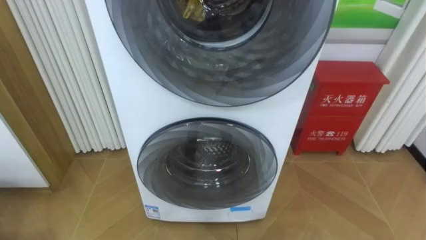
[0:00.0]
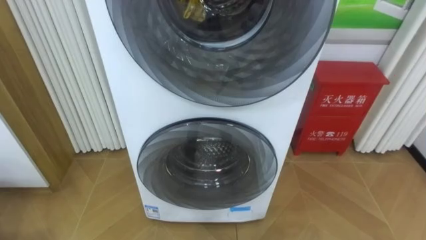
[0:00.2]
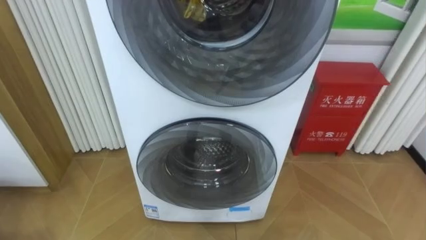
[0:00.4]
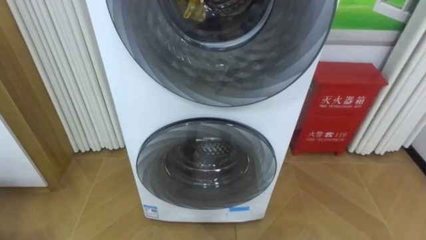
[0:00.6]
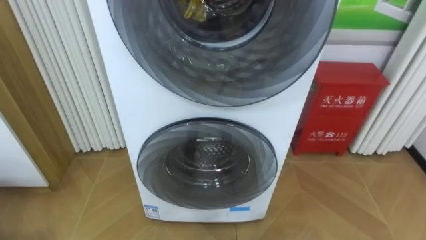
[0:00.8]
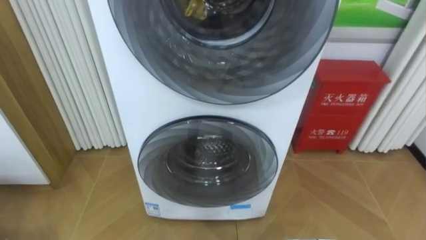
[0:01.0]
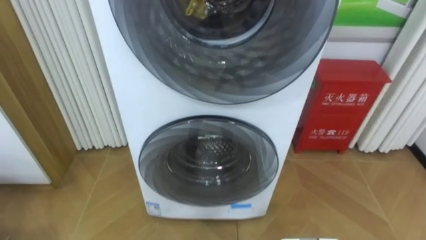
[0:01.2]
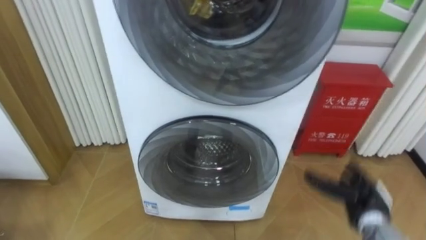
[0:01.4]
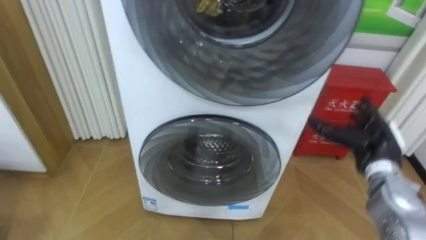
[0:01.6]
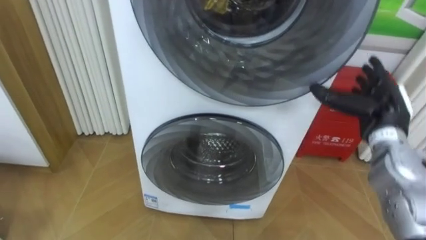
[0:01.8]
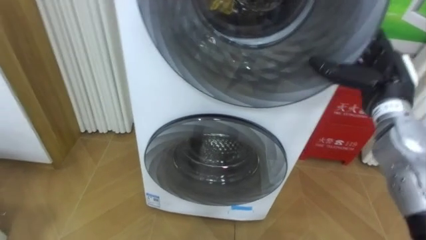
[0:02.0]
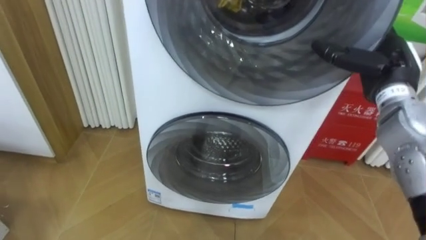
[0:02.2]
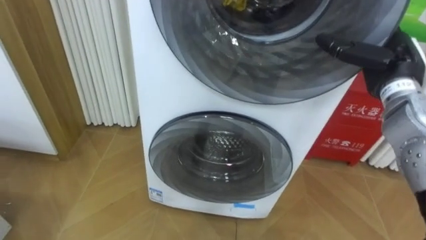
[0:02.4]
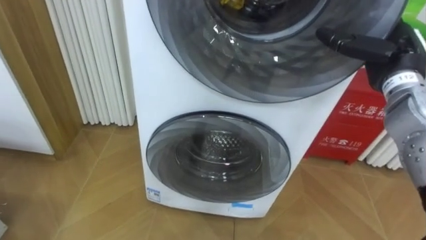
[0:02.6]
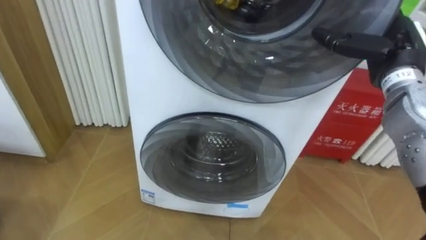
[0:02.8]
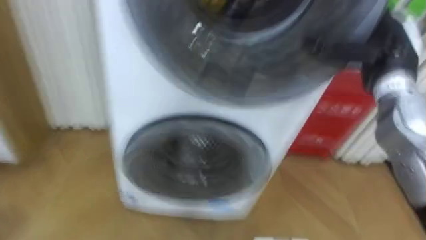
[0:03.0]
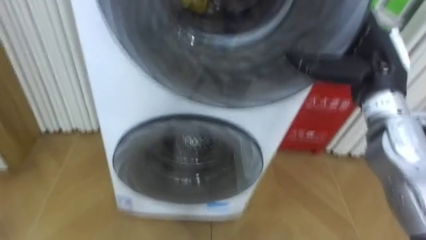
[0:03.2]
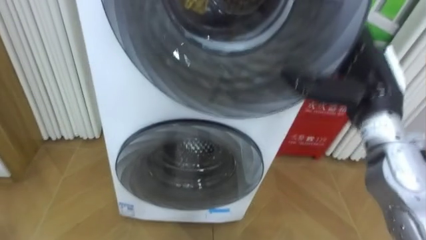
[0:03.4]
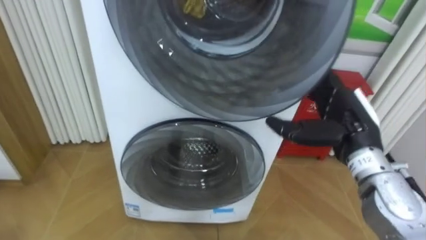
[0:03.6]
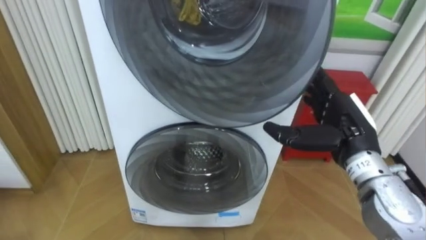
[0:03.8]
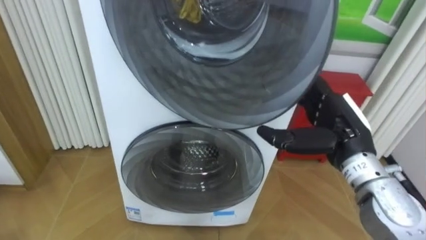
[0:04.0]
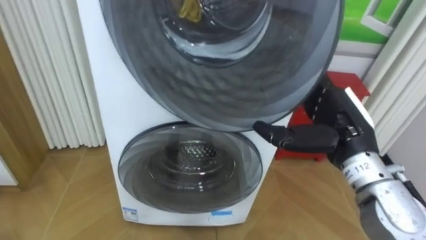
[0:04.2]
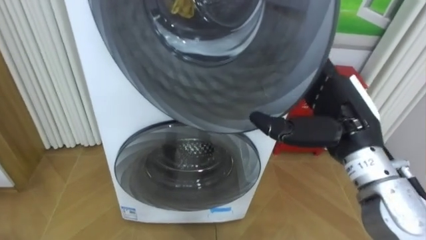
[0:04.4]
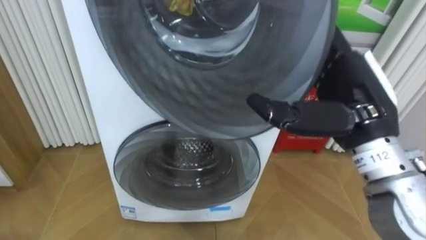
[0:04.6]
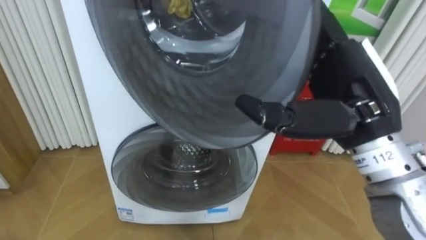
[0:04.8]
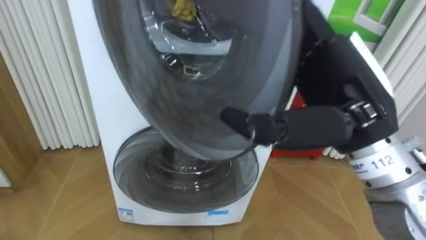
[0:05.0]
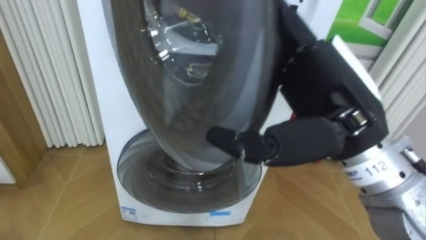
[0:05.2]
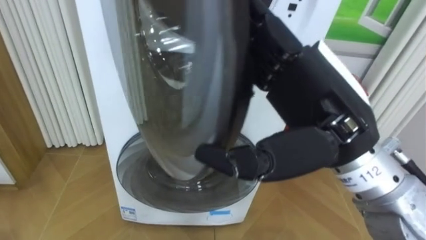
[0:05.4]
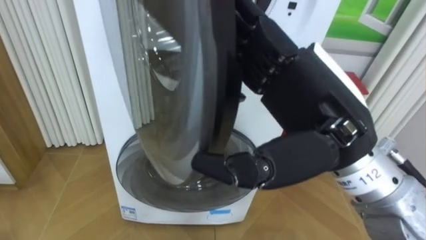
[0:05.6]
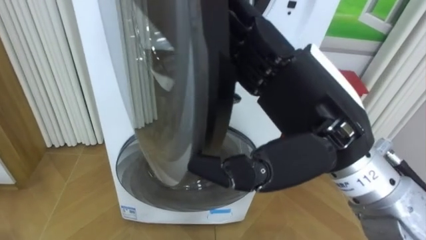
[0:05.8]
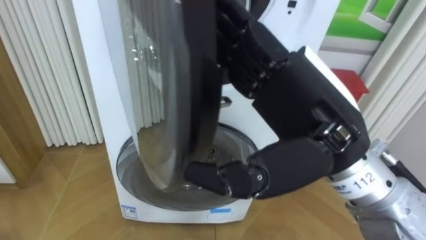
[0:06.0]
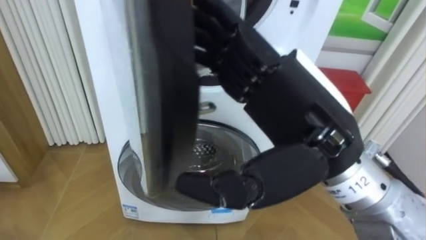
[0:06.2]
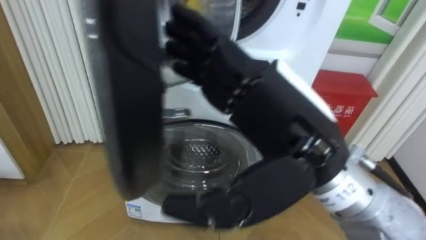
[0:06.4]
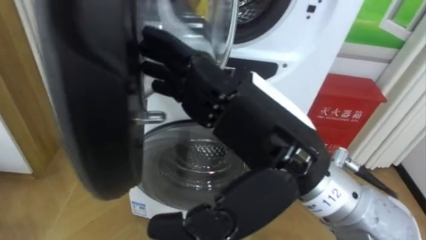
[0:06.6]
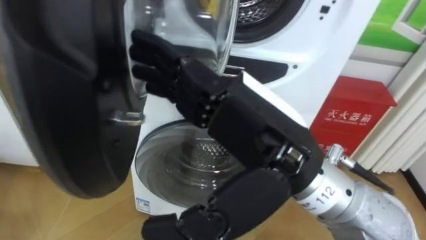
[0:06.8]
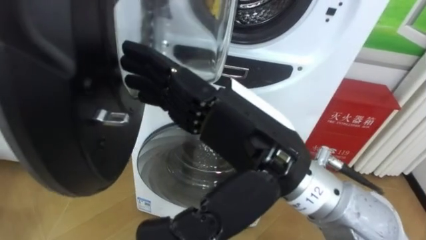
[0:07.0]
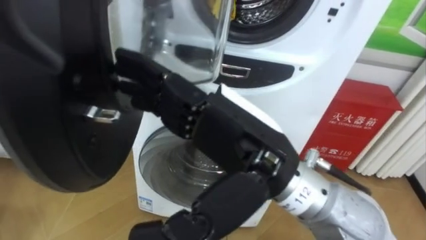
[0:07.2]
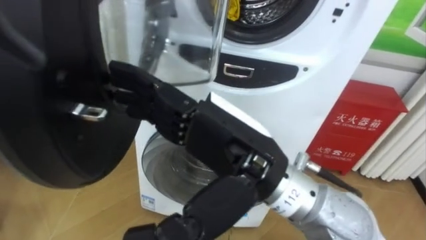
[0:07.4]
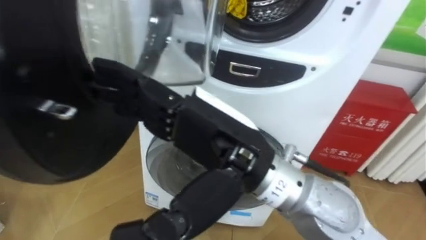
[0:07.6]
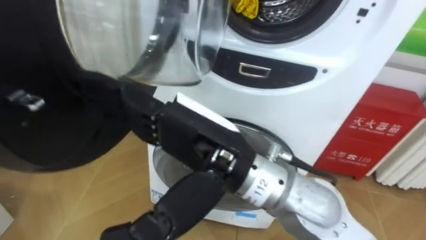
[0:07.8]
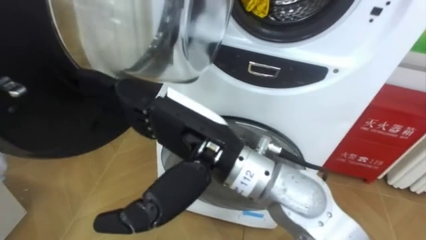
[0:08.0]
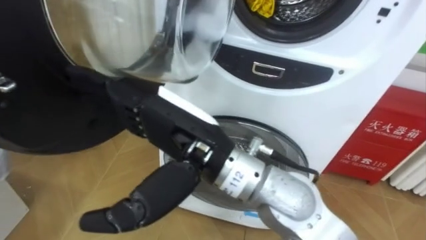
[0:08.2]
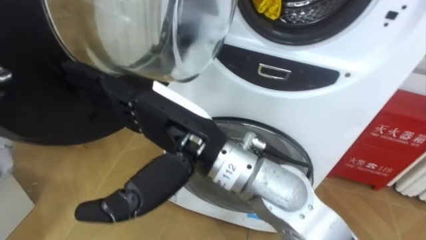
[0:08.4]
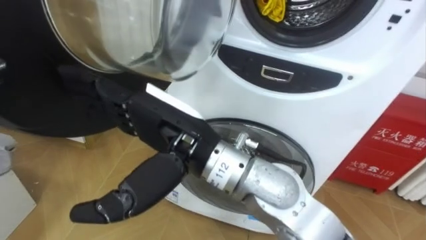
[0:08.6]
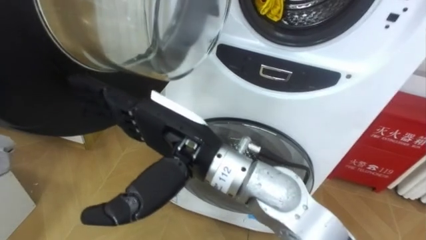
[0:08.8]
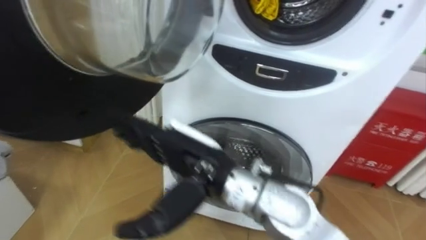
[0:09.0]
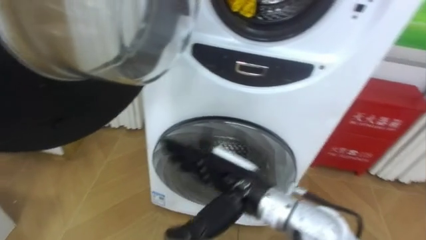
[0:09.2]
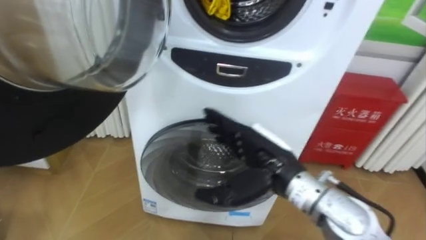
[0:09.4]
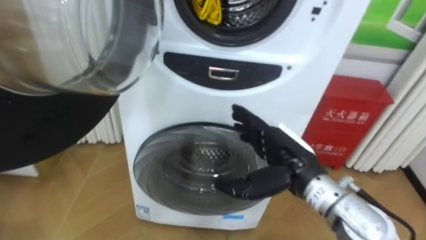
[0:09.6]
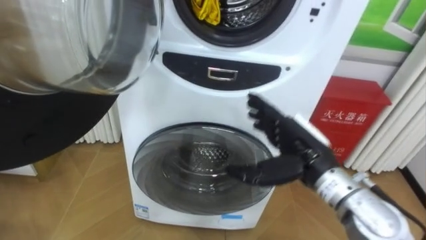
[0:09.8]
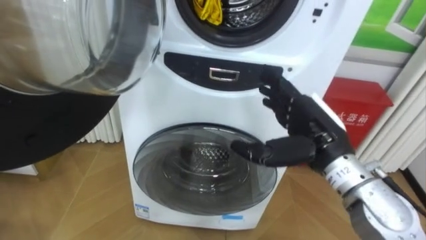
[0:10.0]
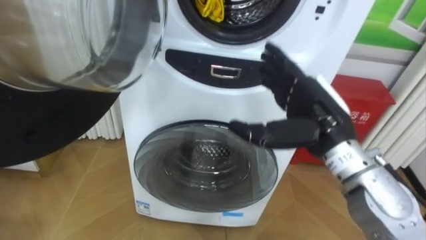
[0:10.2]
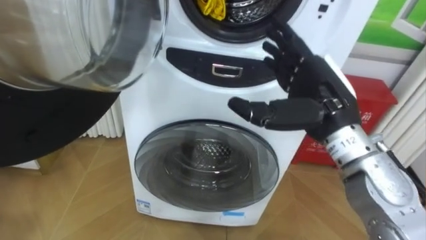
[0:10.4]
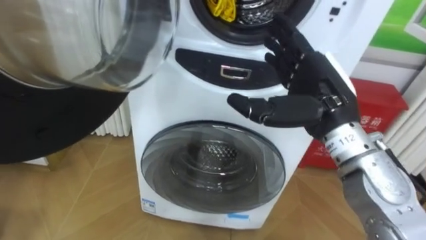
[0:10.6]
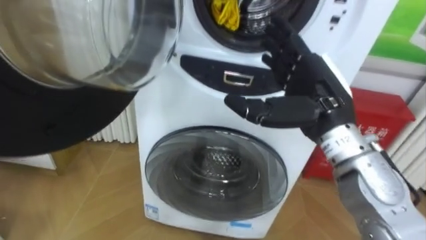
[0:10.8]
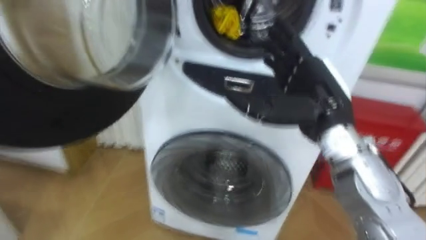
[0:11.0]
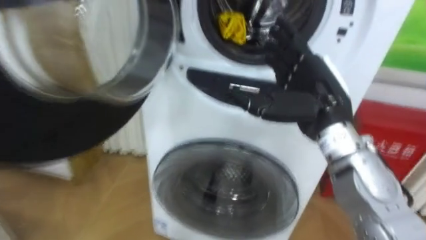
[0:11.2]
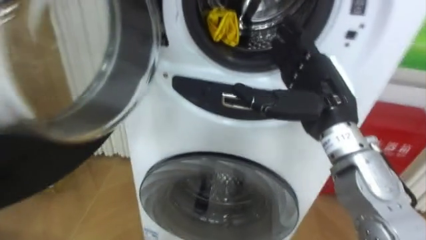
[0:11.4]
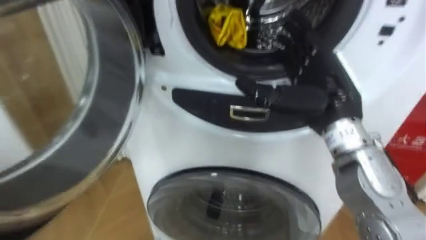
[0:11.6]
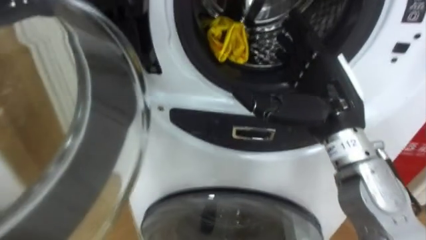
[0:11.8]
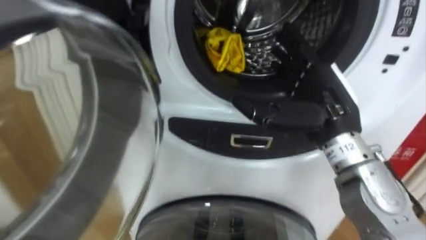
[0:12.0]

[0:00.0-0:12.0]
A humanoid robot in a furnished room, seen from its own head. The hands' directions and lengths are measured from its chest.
Task of the whole recording: Open the washing machine door, take out the yellow clothes, place them in the box on the right, and close the washing machine door.
0:01.6 to 0:03.0: The right hand moves upward, approximately 15 cm.
0:03.0 to 0:04.4: The right hand is displaced backward and to the left by some 10 cm.
0:04.4 to 0:06.0: The right hand goes about 15 cm to the left, upward and backward.
0:06.0 to 0:07.6: The right hand shifts about 10 cm to the left.
0:07.6 to 0:09.0: The right hand heads downward, covering about 5 cm.
0:09.0 to 0:10.4: The right hand moves to the right, roughly 20 cm.

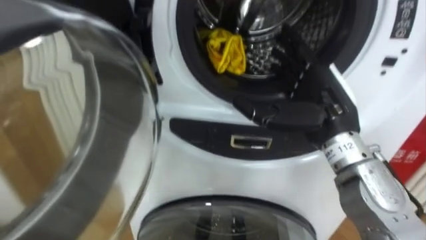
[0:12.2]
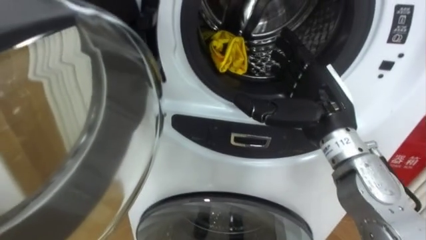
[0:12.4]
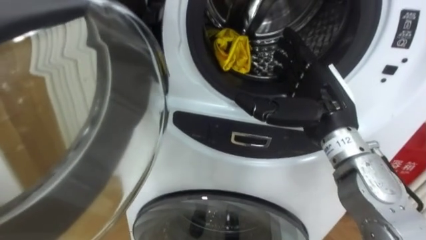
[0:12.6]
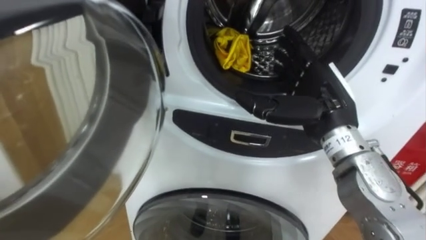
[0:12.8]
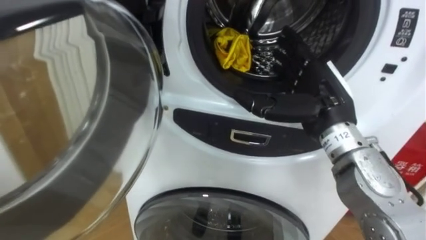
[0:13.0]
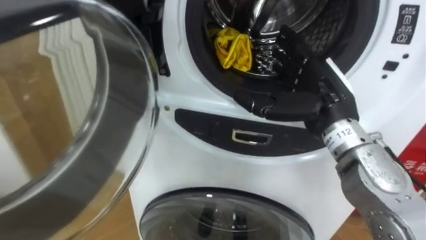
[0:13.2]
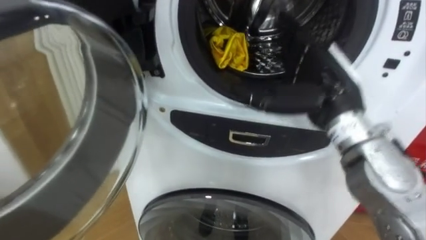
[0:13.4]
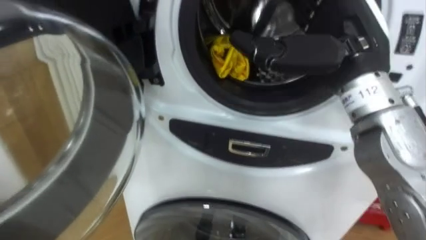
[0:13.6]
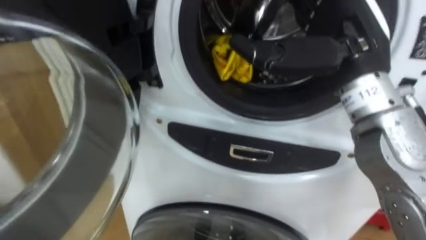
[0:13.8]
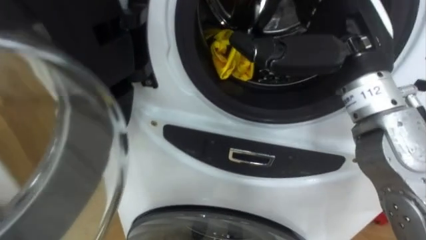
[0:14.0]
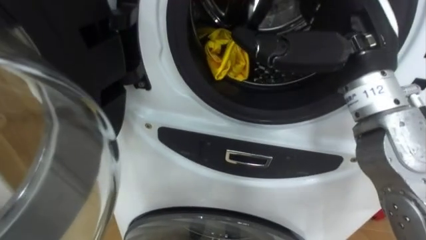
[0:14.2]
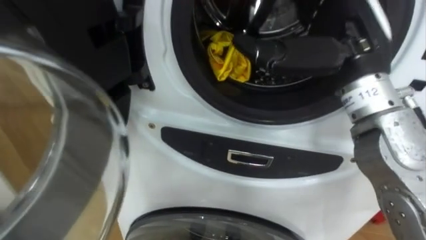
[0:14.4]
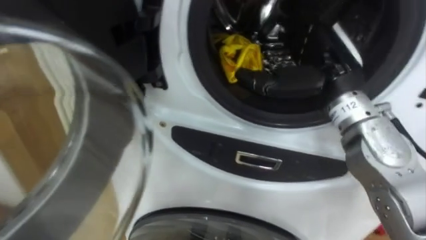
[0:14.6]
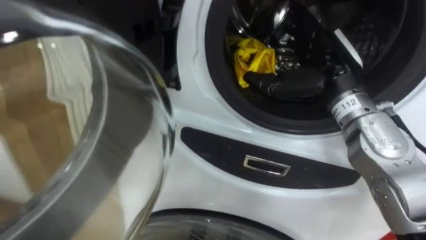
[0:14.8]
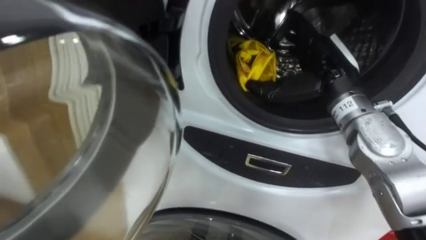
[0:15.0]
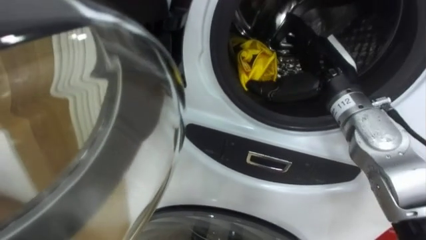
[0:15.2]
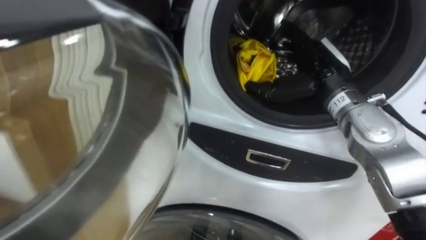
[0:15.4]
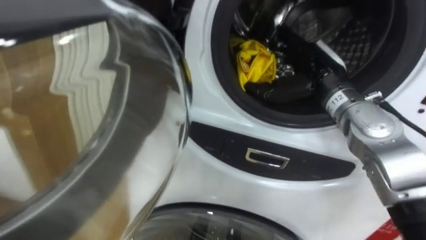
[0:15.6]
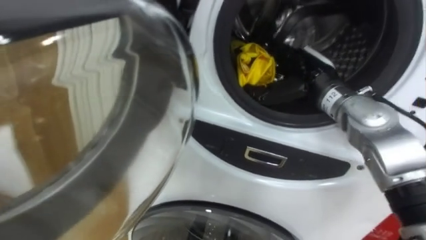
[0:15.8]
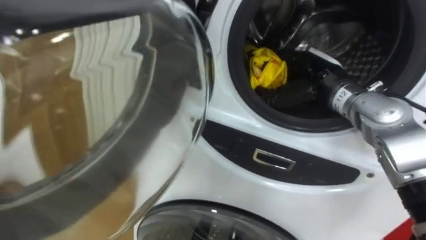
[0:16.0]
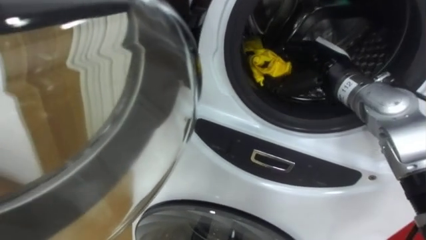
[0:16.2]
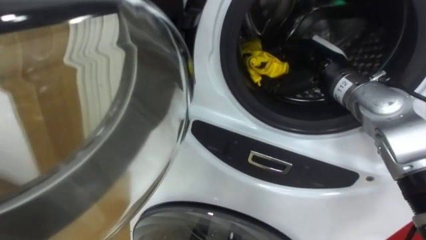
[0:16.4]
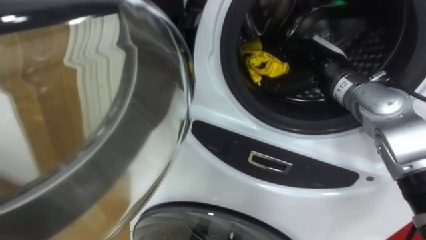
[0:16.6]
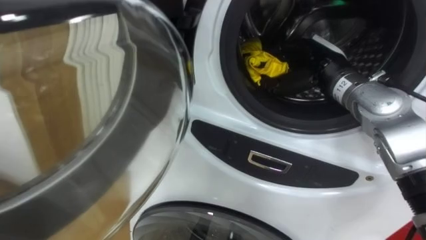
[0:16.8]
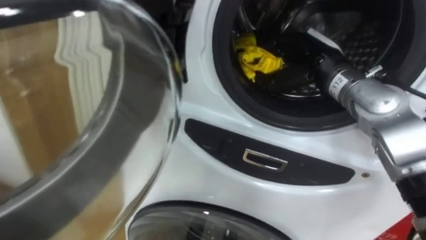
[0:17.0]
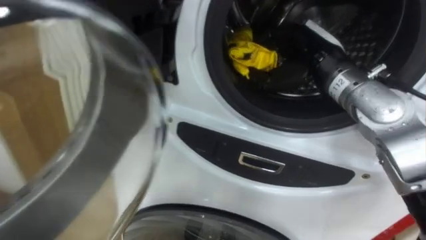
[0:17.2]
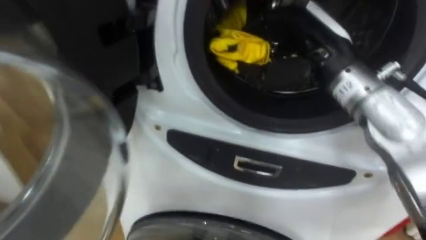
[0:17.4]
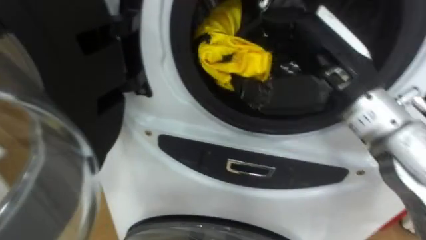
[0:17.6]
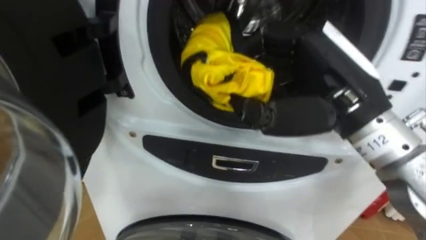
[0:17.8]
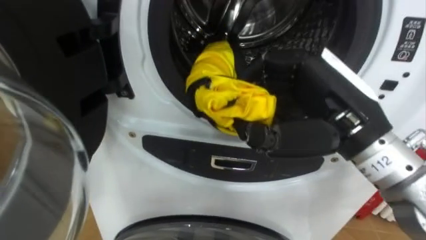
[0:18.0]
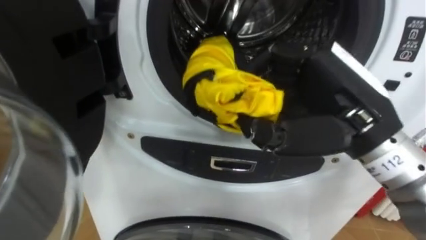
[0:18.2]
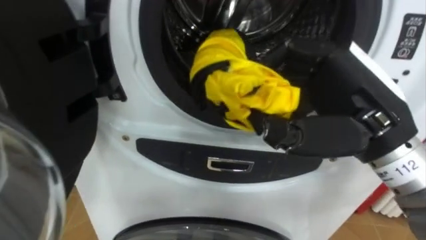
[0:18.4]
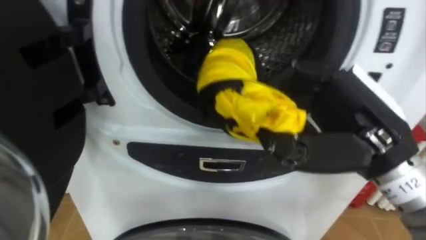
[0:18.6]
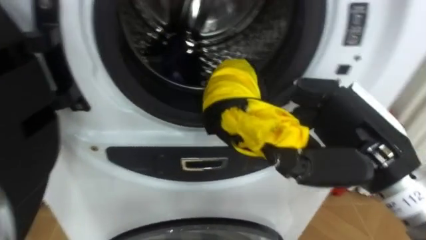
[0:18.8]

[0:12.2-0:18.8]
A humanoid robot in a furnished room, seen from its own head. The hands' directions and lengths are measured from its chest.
Task of the whole recording: Open the washing machine door, take out the yellow clothes, place them in the box on the right, and close the washing machine door.
0:12.2 to 0:13.8: The right hand shifts about 10 cm upward.
0:13.8 to 0:15.4: The right hand moves downward and forward, some 15 cm.
0:15.4 to 0:17.2: The right hand closes up.
0:17.2 to 0:18.8: The right hand heads backward, covering approximately 15 cm.
